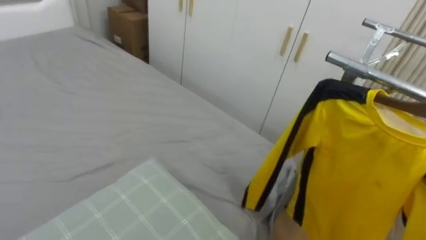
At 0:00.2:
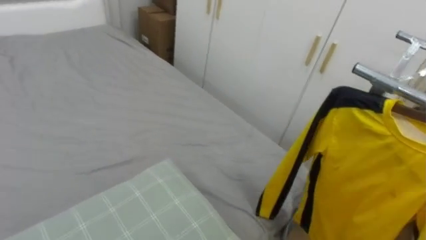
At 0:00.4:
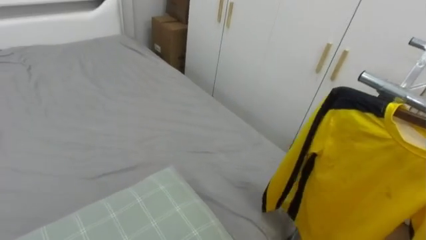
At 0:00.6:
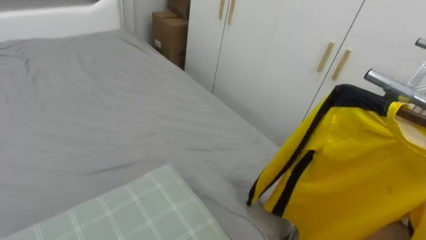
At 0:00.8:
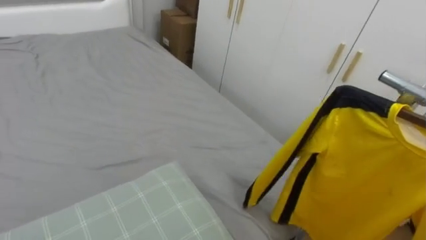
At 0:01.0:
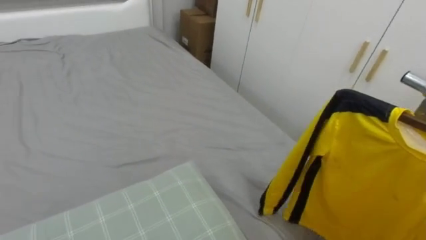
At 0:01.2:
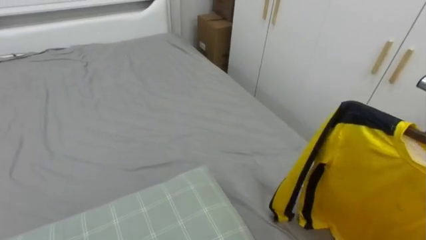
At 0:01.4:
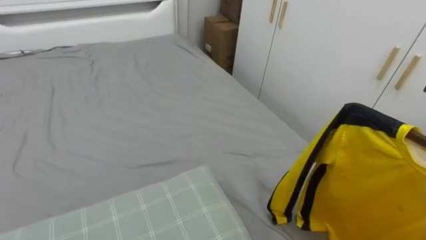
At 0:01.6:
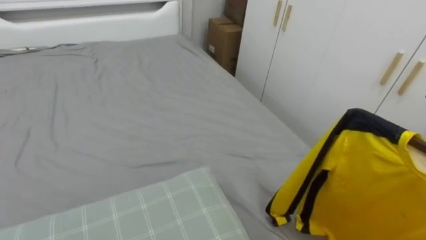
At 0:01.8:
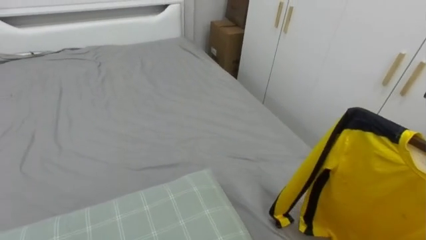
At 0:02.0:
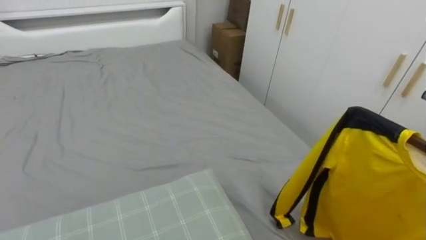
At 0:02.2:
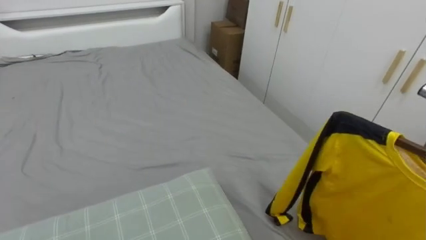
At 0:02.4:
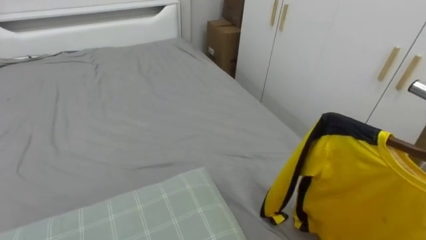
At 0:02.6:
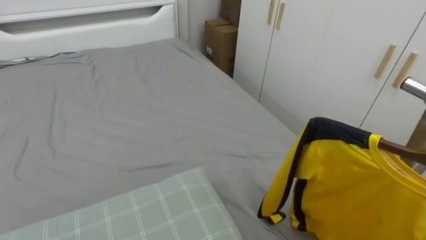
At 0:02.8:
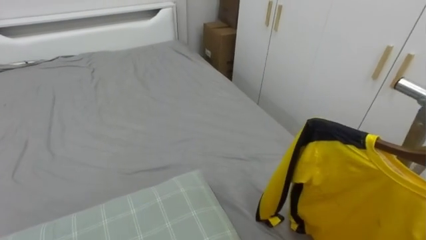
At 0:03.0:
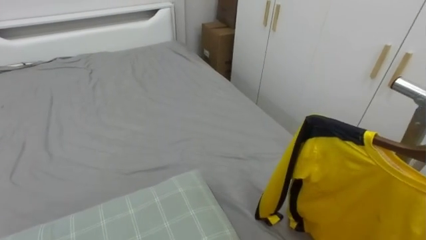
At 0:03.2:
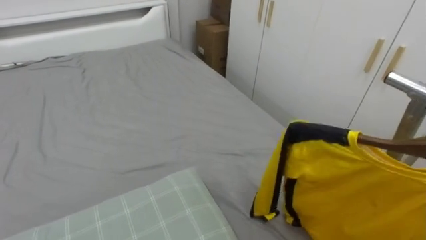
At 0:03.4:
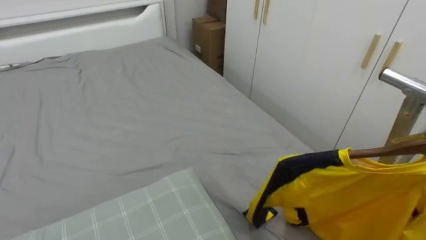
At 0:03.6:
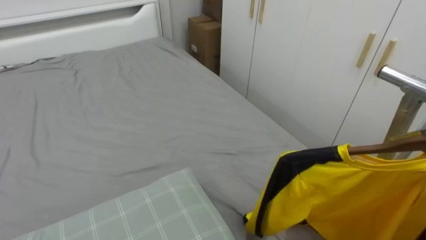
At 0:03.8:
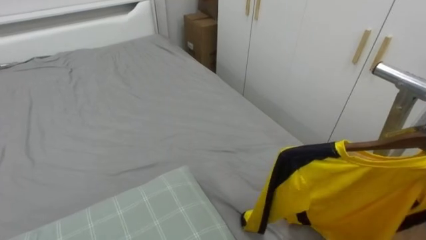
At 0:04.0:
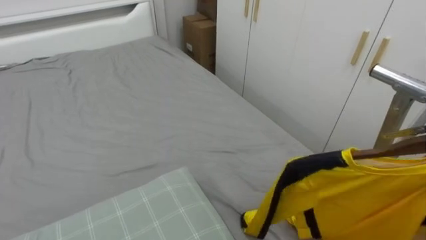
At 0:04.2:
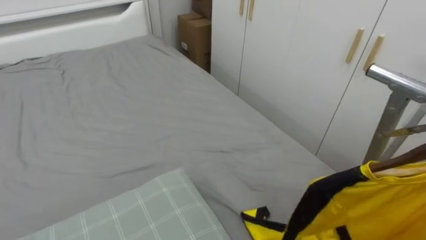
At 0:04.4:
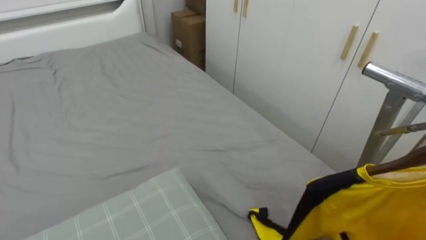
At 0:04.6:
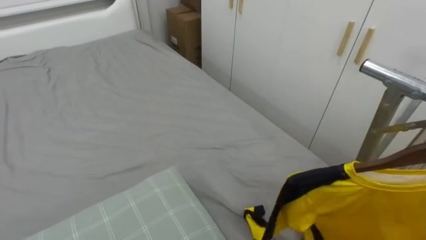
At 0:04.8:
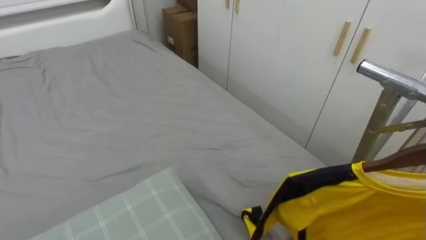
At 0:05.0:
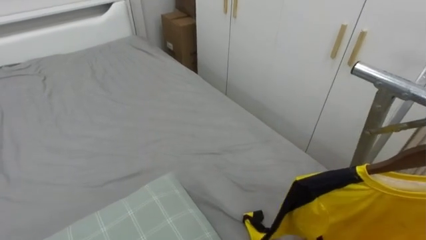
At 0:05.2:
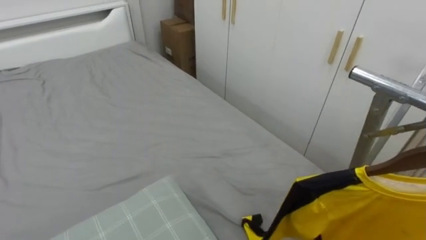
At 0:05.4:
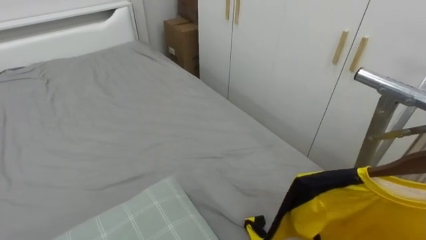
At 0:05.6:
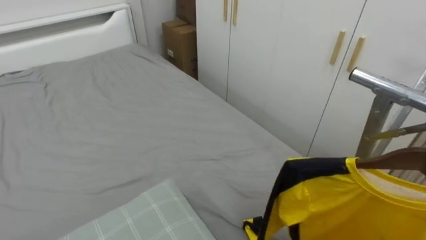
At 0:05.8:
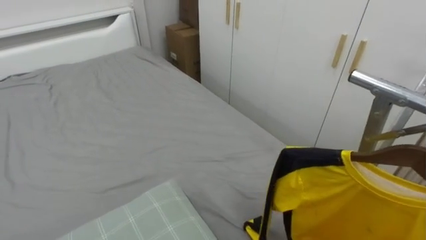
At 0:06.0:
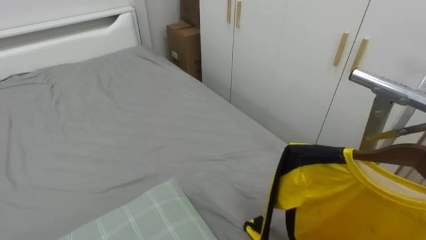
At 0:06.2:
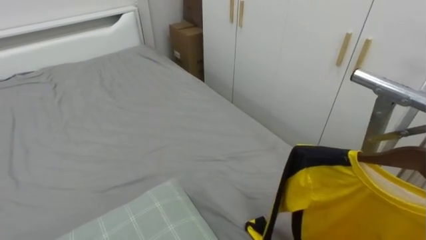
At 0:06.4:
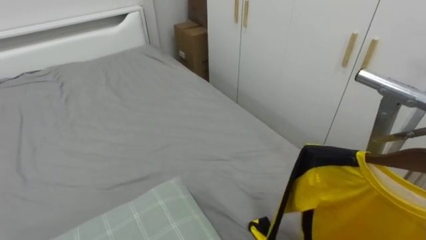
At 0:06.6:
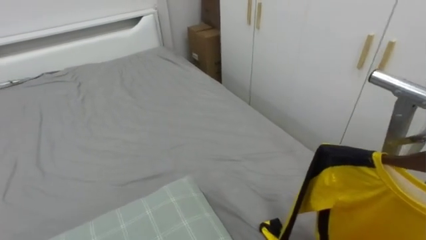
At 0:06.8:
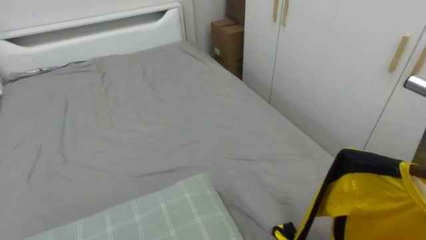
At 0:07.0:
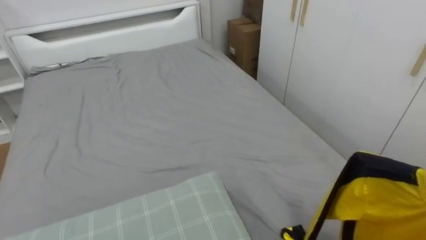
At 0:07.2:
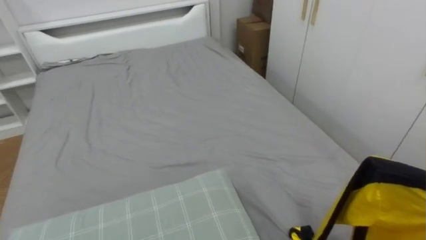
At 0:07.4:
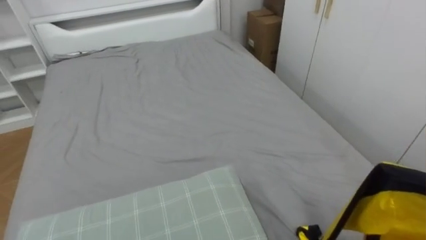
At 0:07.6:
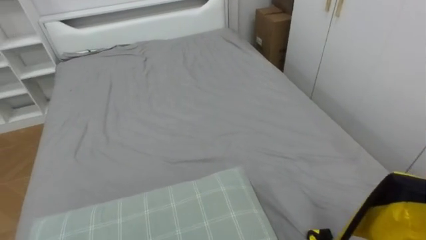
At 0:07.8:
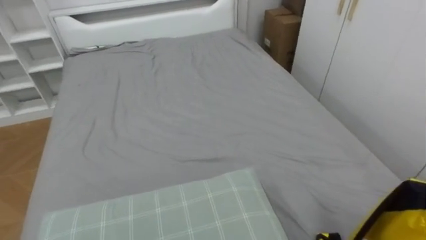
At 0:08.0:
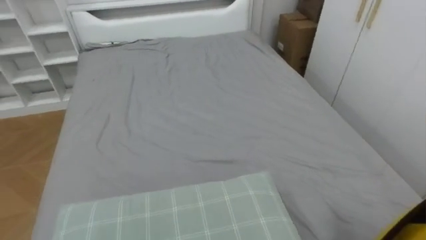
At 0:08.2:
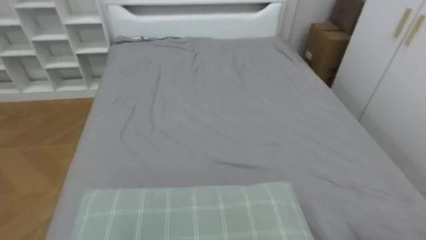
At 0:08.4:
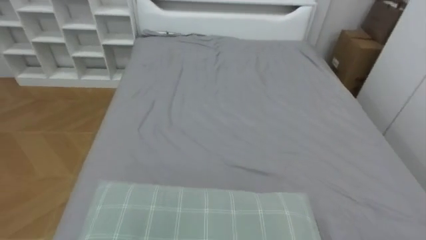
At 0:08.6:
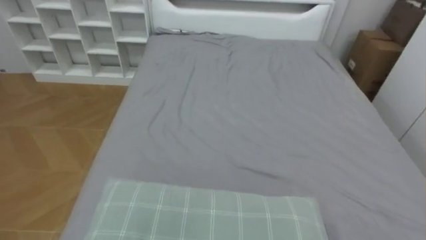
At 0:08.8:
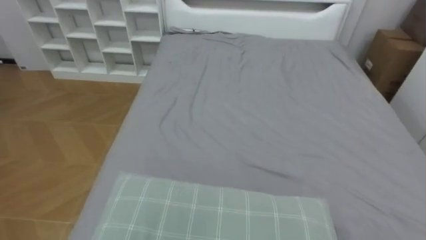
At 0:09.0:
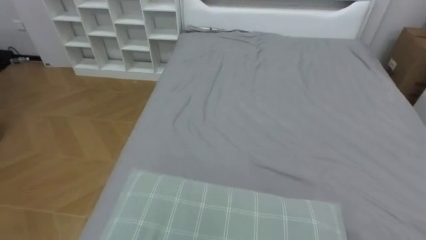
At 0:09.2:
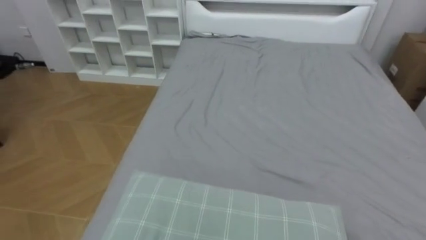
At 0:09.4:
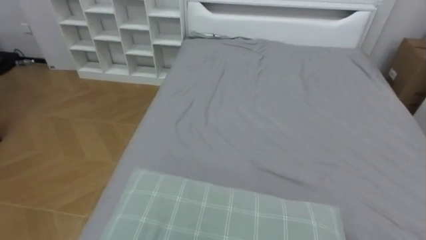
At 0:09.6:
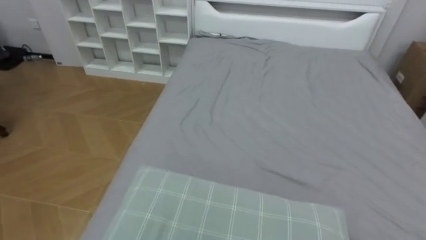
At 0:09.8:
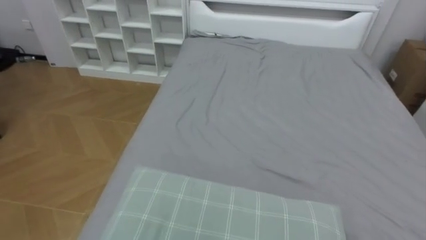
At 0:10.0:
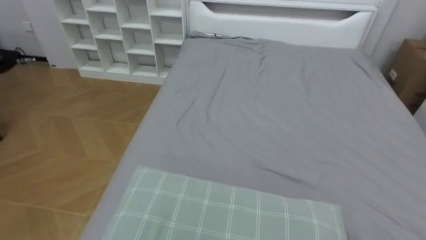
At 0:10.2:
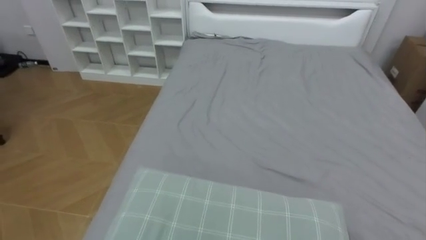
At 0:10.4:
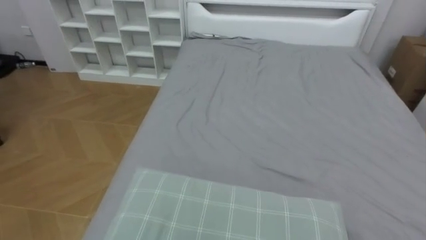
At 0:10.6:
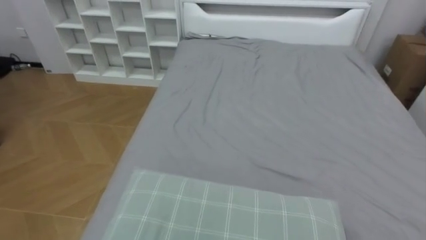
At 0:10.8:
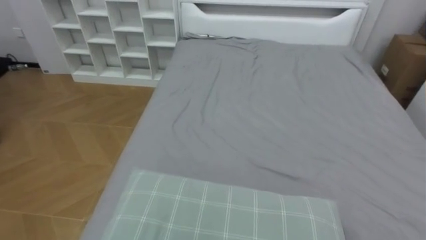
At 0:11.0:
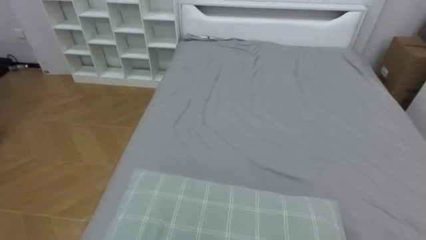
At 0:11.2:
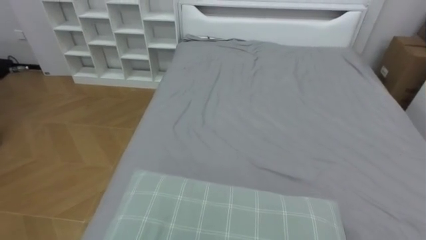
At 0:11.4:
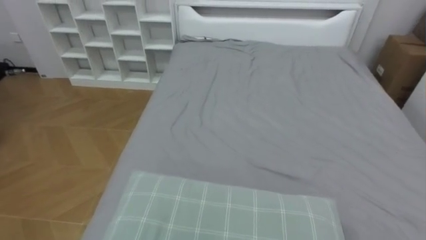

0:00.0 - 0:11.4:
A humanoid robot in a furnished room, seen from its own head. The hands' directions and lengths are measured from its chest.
Task of the whole recording: Pick up the yellow shirt on the bed and hang it on the clothes rack on the right.
0:00.0 - 0:01.4: The robot's body swings roughly 25 degrees to its left.
0:05.6 - 0:07.2: The robot rotates some 15 degrees to its left.
0:07.2 - 0:08.6: The robot faces approximately 20 degrees further to its left.

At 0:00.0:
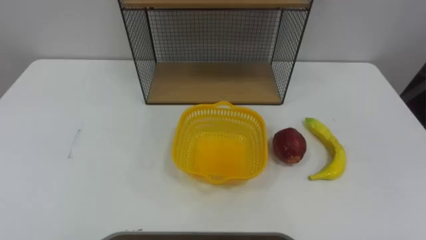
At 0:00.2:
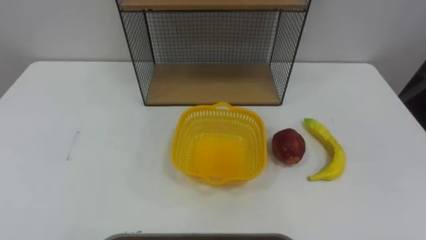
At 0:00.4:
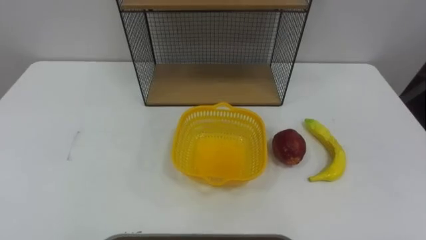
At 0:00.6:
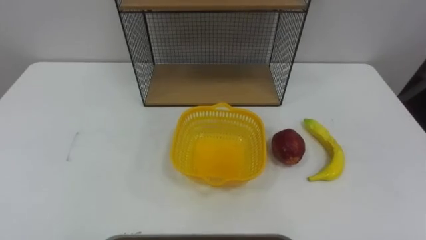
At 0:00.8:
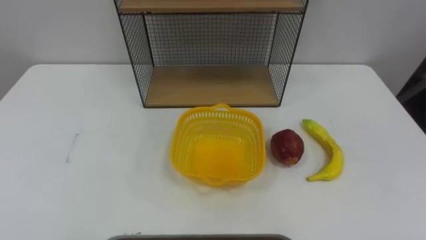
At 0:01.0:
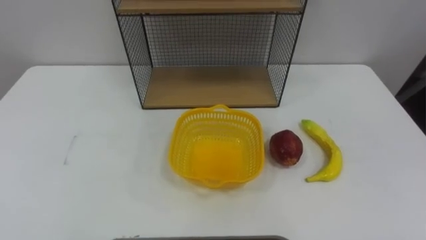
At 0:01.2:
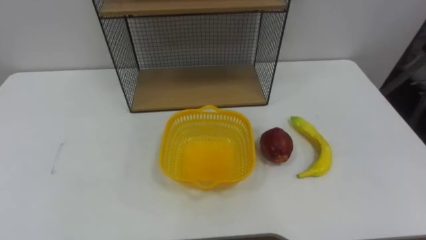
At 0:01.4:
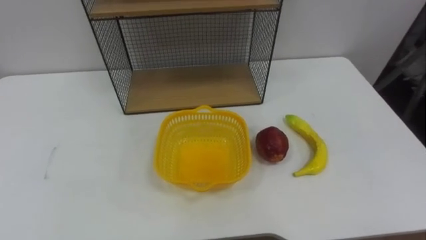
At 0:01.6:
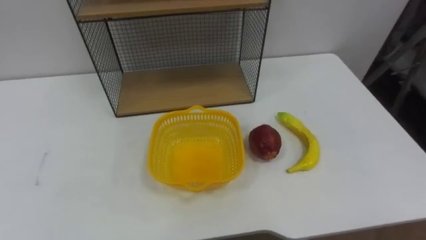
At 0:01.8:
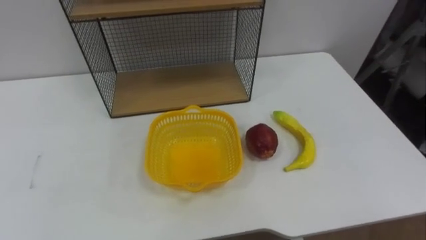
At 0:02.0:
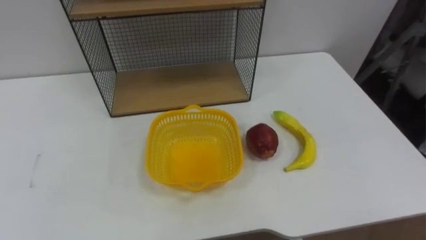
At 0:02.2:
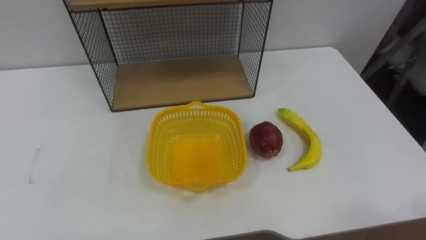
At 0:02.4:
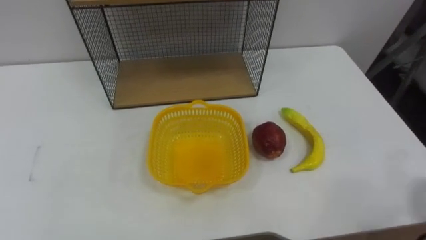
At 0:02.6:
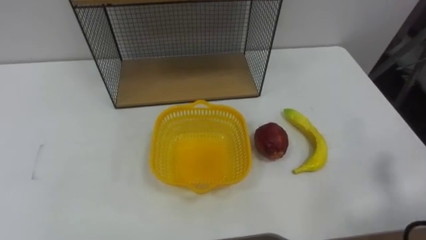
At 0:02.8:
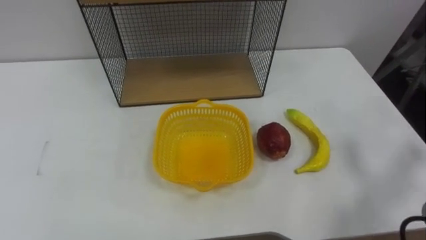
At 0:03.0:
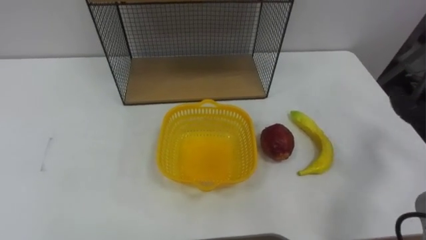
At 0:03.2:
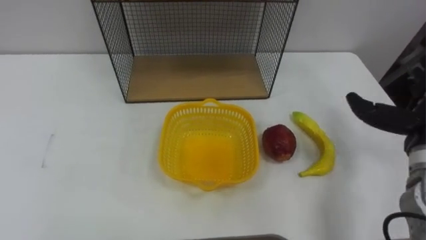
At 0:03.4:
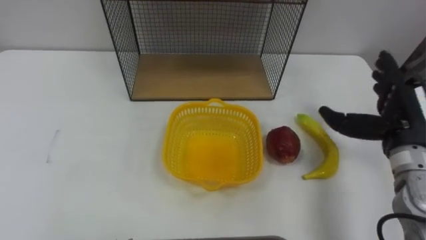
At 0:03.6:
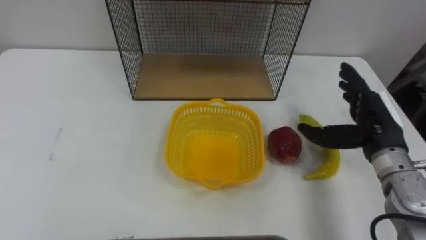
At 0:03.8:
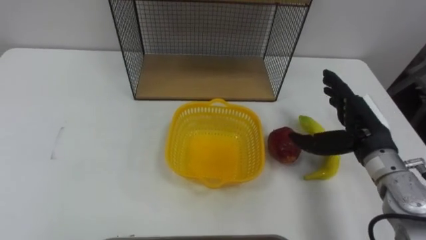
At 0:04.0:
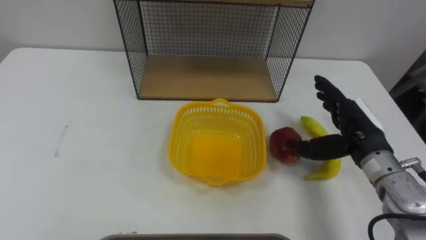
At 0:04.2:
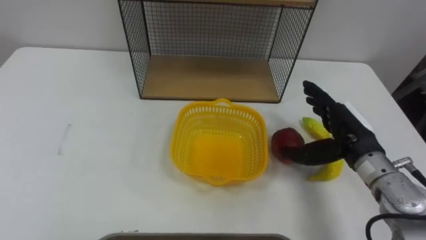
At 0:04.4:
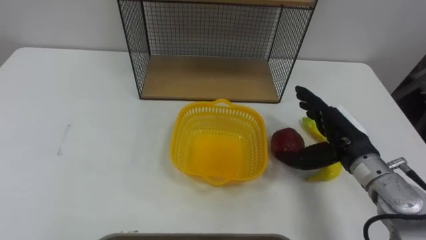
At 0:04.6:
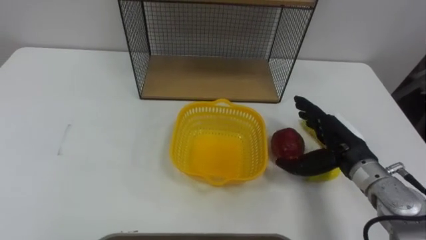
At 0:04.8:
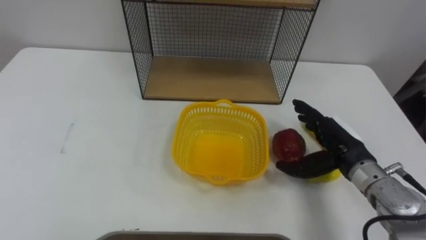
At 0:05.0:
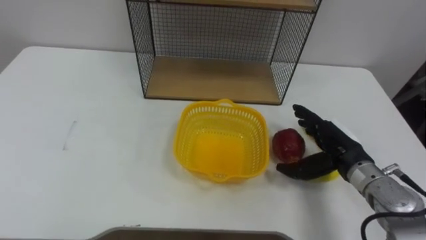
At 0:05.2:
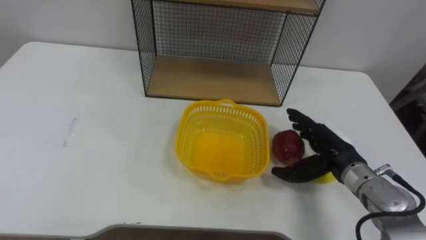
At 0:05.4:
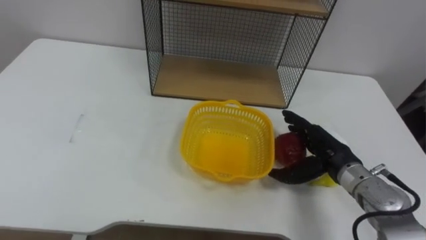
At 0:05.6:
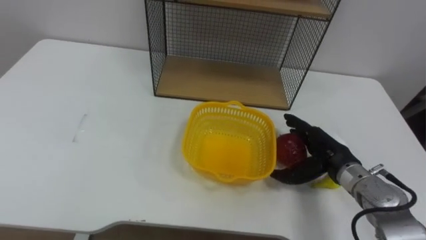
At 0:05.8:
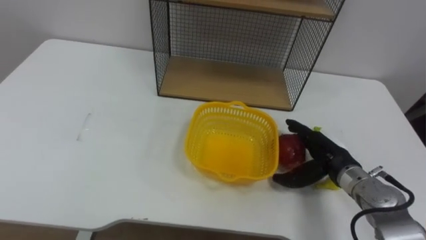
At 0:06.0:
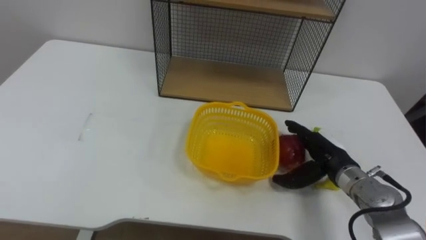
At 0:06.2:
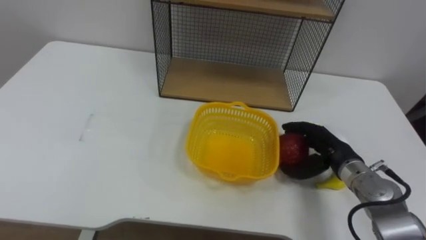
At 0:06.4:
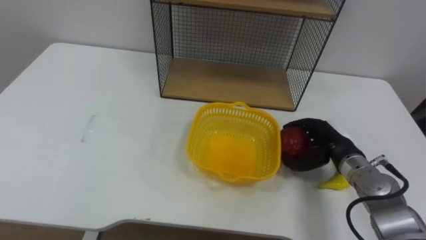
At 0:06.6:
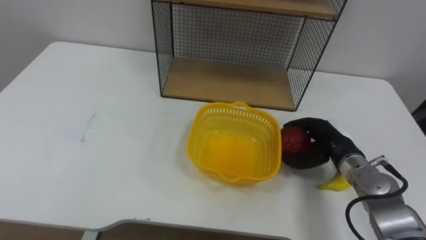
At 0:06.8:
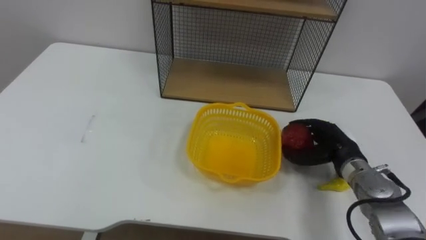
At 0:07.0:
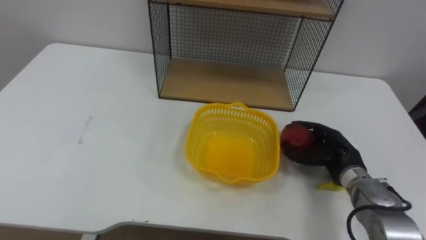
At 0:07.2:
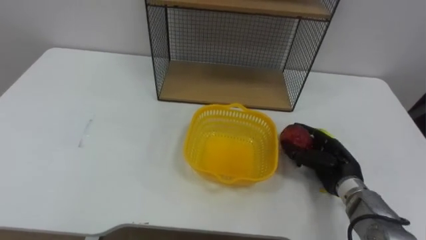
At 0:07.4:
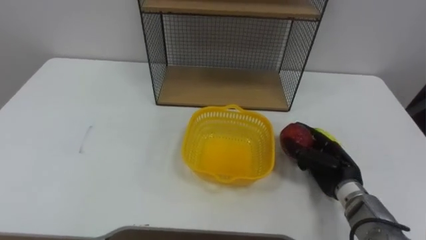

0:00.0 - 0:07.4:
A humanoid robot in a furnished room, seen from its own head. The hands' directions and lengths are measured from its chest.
Task of the whole recording: Put the fruit on the table into the basket, then place the basket on the shelf.
0:04.4 - 0:06.0: The right hand moves downward, roughly 5 cm.
0:06.0 - 0:07.4: The right hand closes its fingers.
